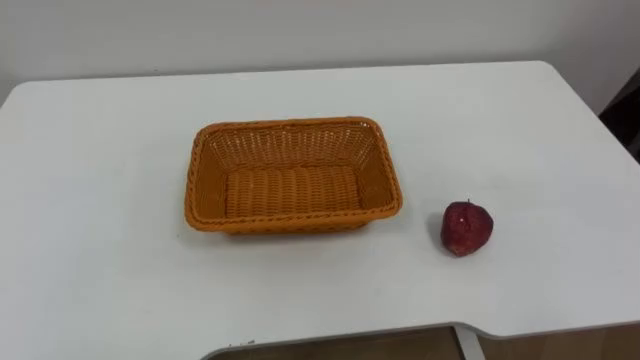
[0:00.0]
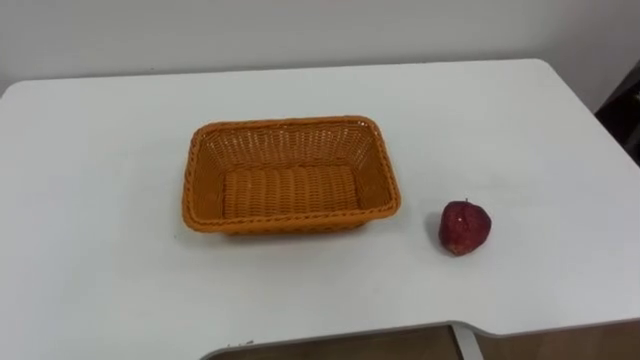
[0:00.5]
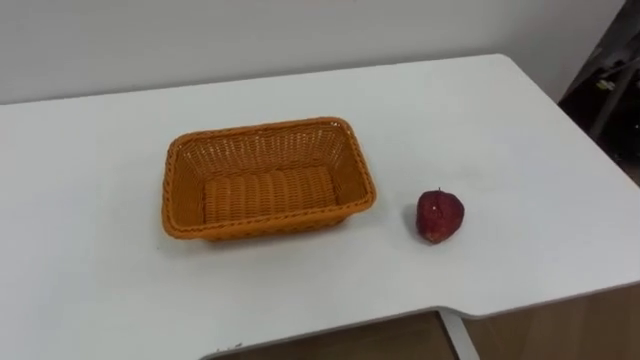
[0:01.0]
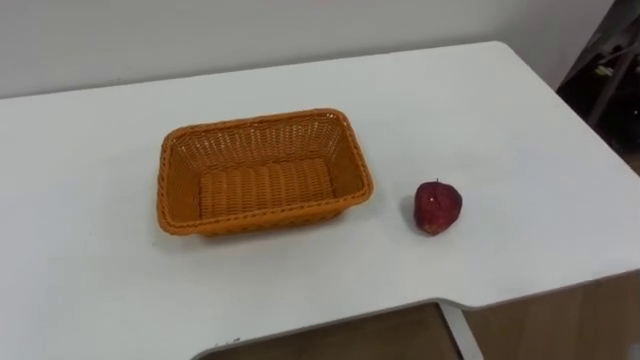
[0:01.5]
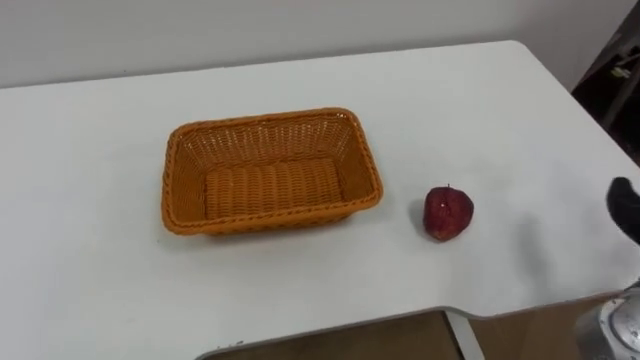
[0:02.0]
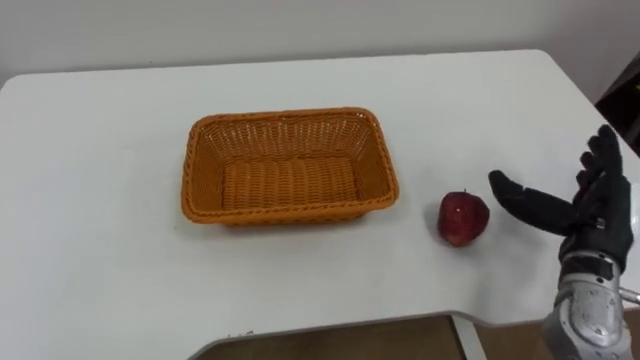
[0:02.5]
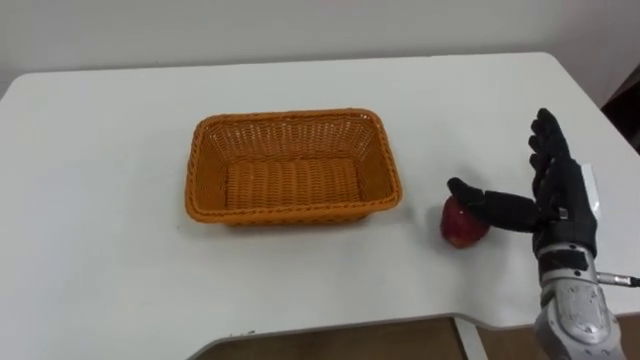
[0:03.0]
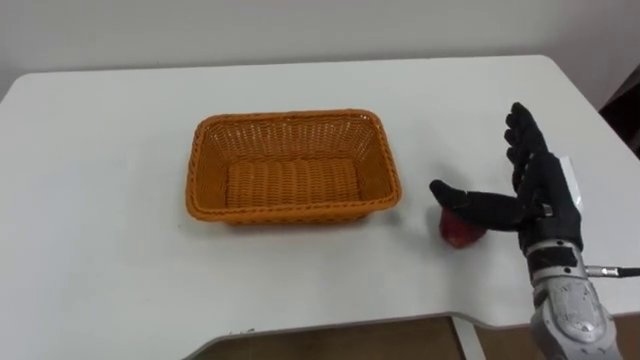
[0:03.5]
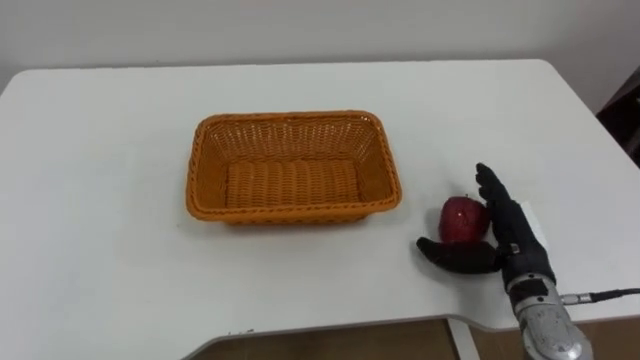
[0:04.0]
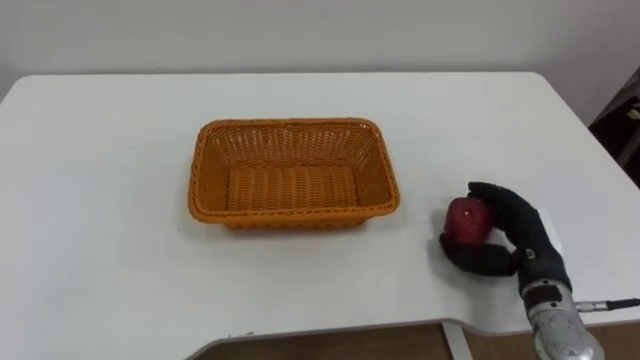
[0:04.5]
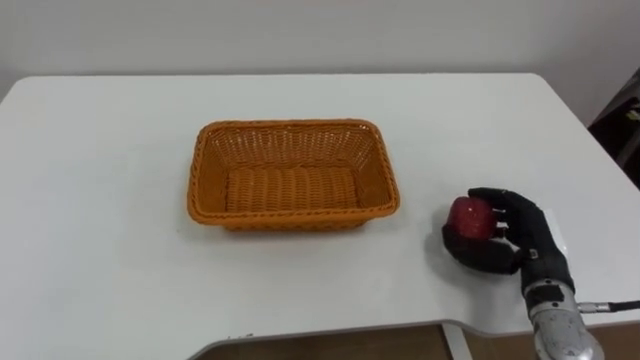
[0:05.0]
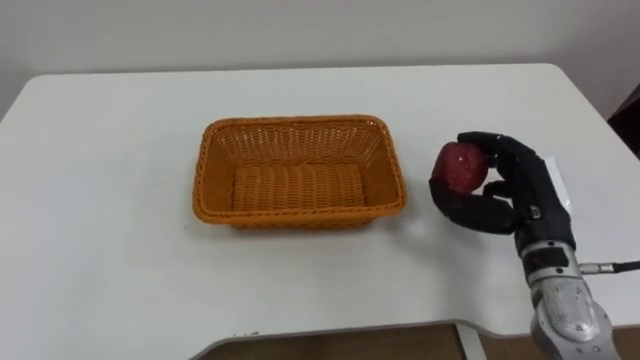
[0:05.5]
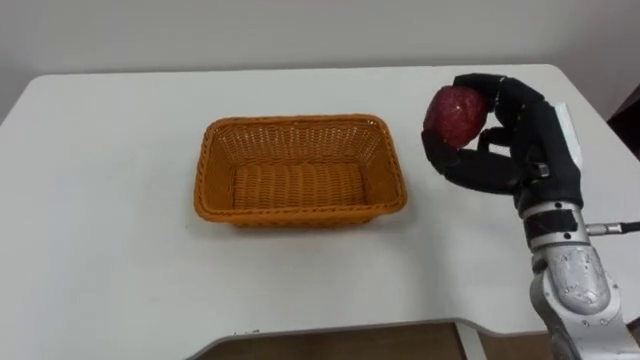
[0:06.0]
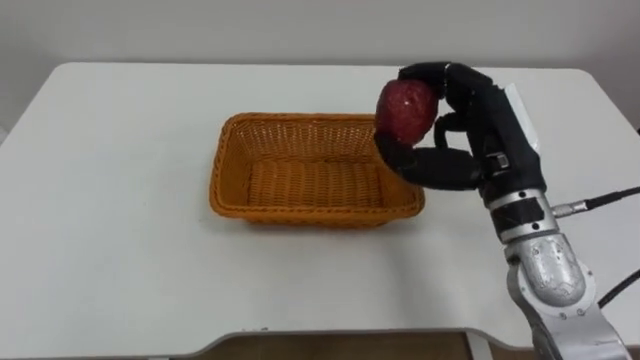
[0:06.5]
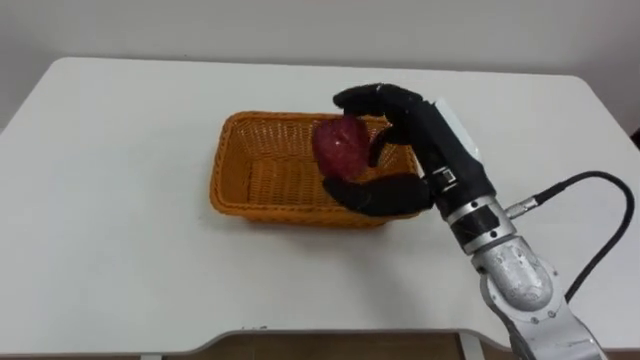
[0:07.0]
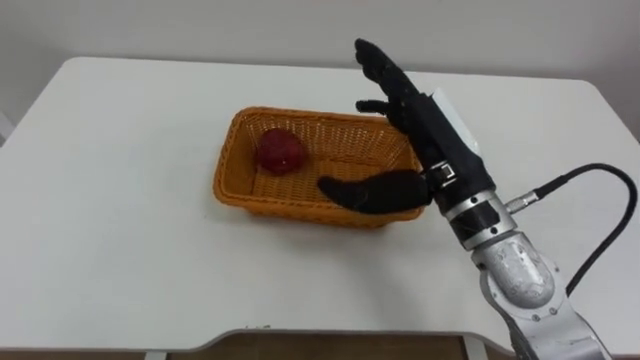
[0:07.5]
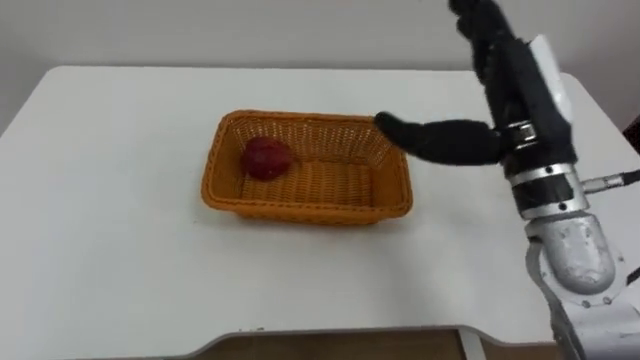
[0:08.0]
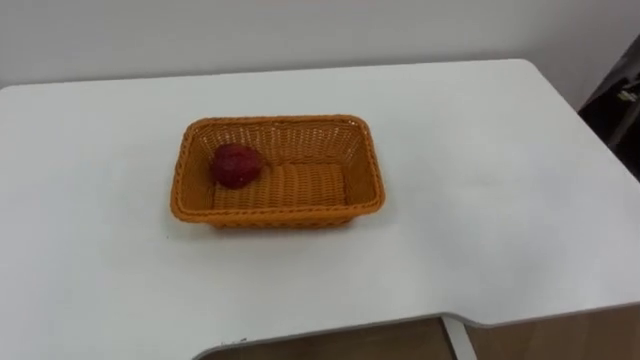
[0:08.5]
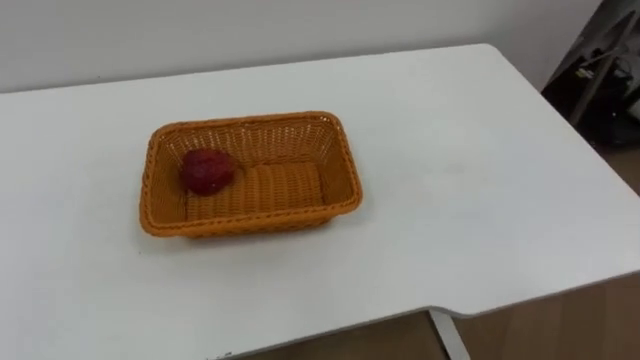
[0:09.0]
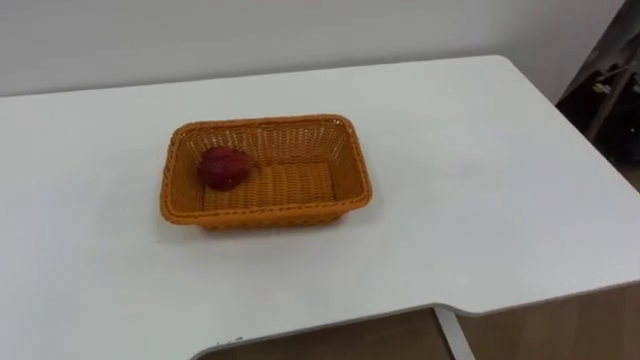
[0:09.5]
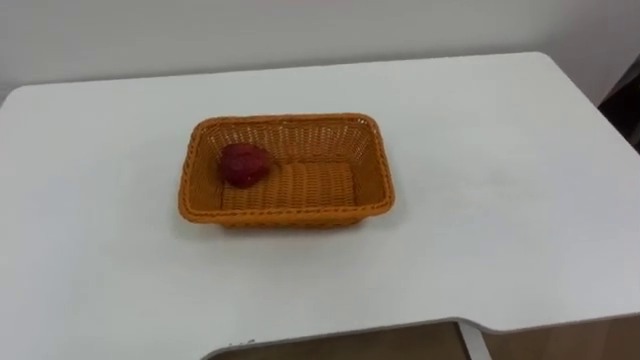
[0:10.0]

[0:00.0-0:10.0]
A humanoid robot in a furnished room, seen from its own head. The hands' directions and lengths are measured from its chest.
Task of the whole recording: Pick the apple and place it in the box.
0:04.0 to 0:06.0: The right hand goes approximately 15 cm upward, and closes up.
0:06.0 to 0:08.0: The right hand heads upward and to the left, covering about 10 cm, and opens its fingers.

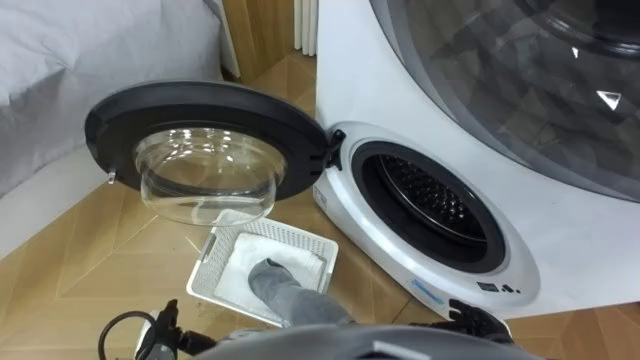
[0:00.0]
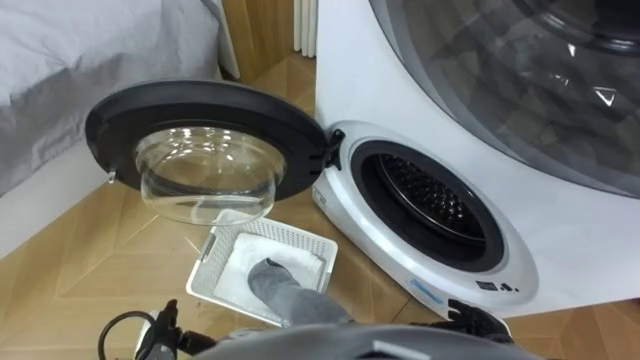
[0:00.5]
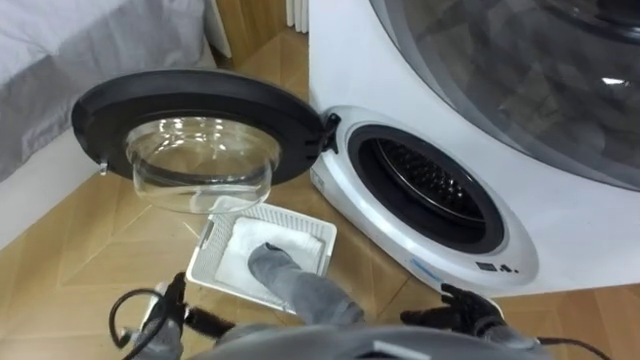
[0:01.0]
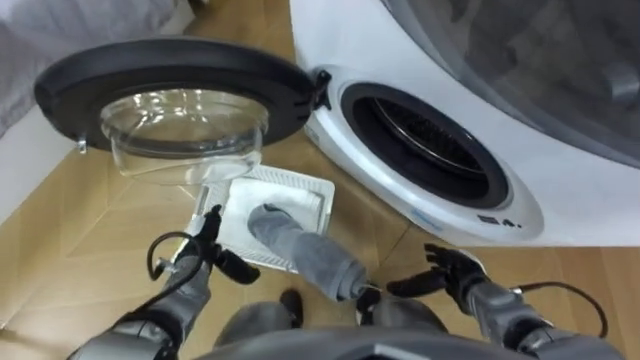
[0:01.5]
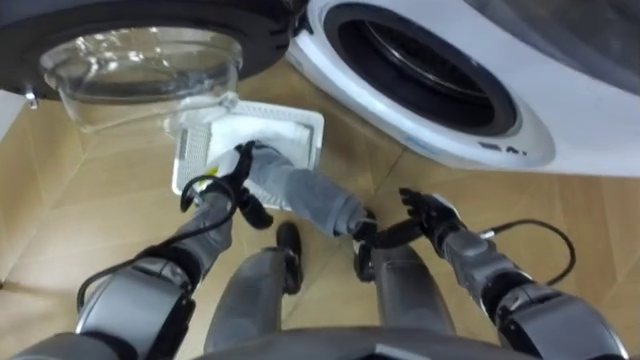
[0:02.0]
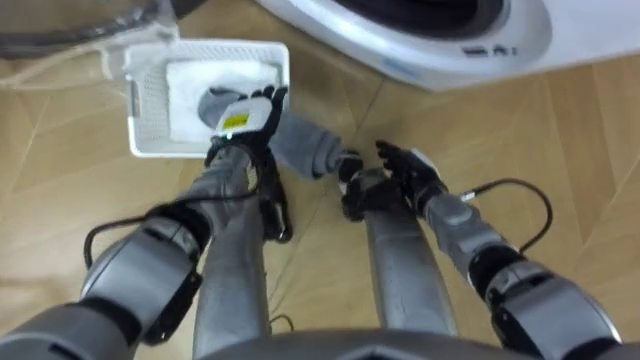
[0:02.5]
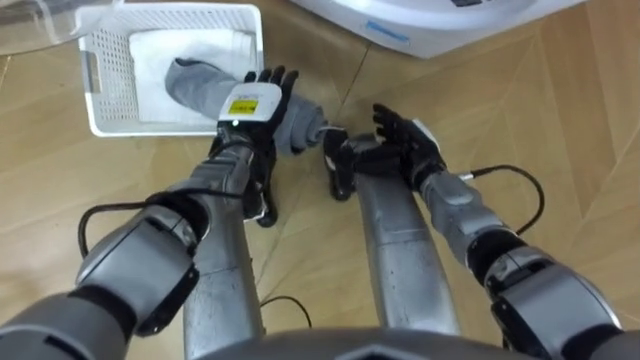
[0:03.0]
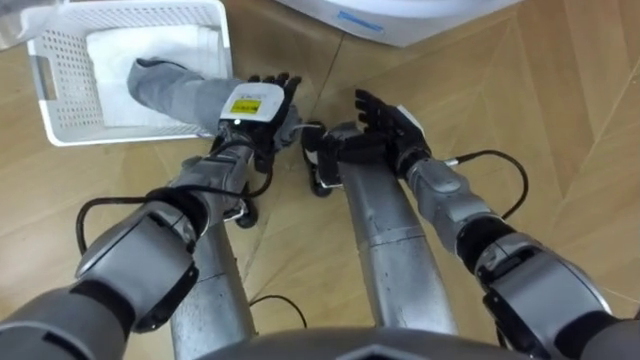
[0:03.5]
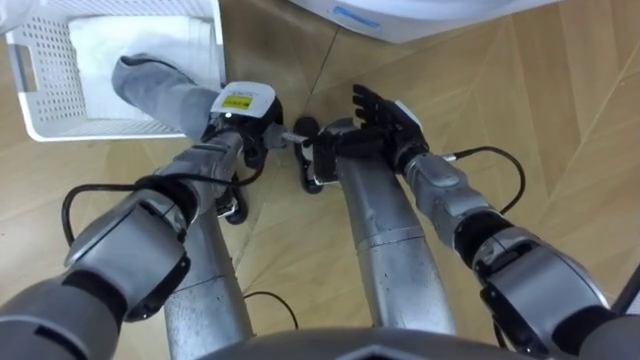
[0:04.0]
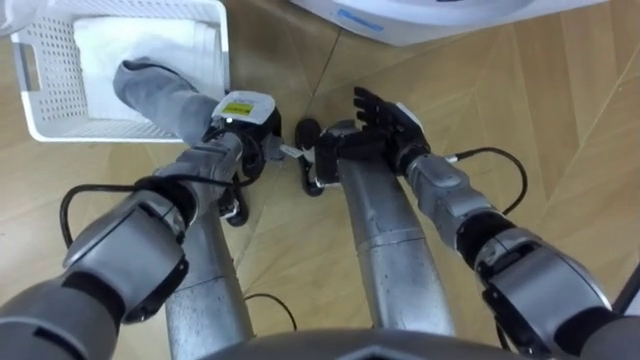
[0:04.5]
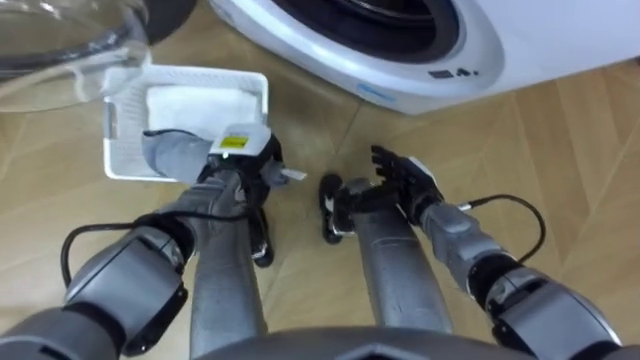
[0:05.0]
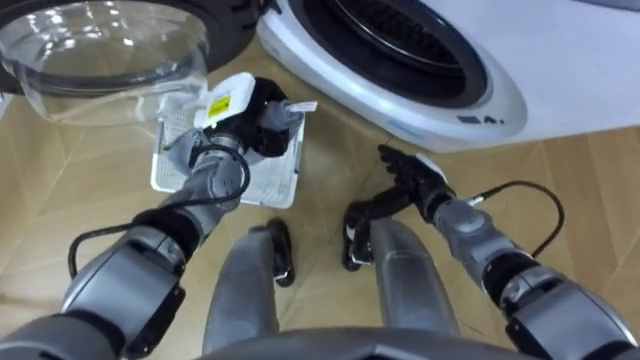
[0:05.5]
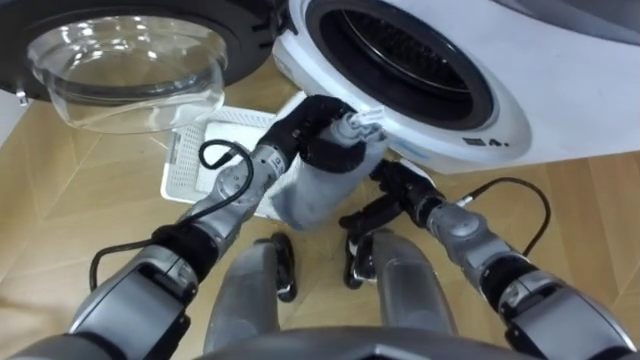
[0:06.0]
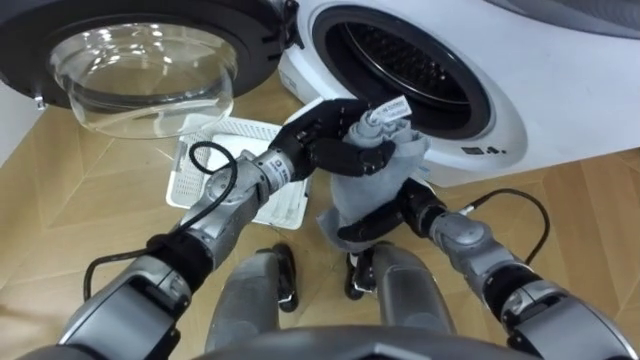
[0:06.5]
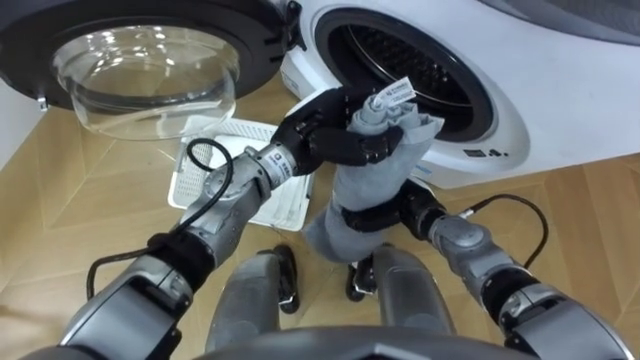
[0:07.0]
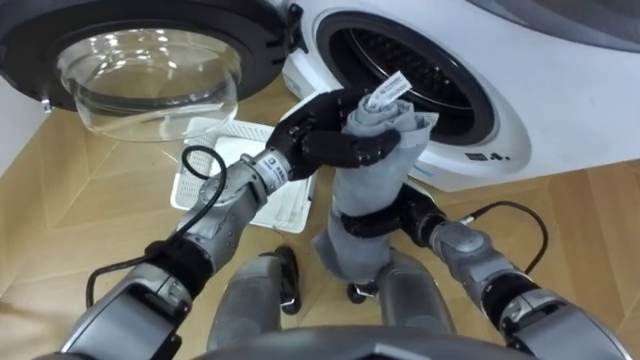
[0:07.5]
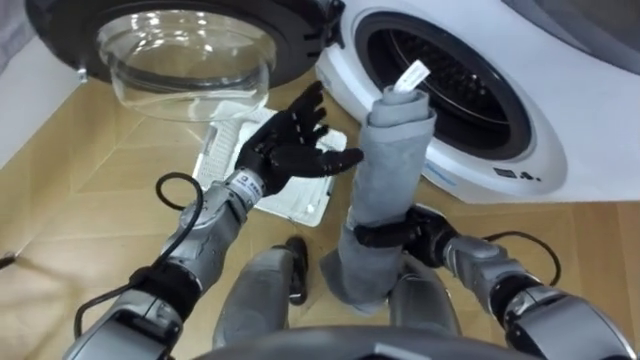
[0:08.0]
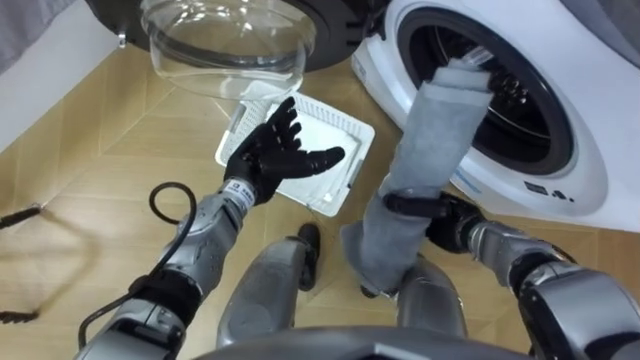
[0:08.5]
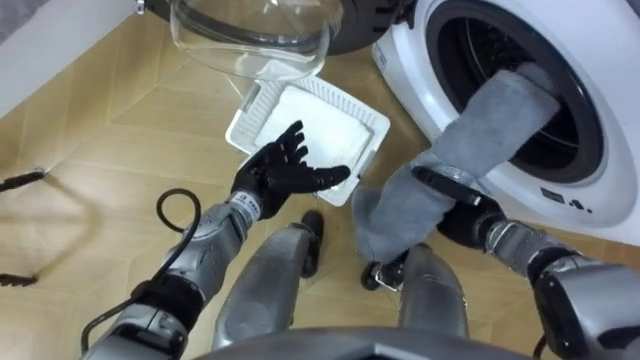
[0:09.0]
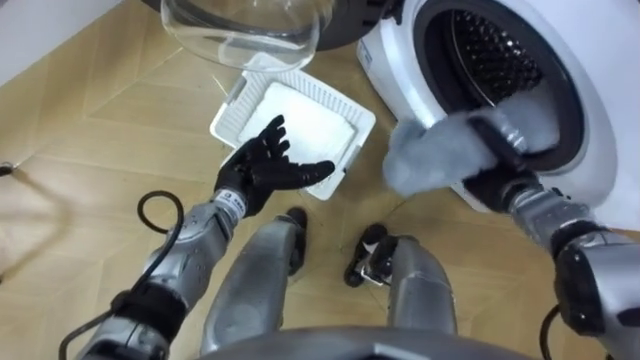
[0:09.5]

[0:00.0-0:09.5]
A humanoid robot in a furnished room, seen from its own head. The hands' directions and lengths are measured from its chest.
Task of the whole recording: Take the towel from the basket and put it into the washing machine.
0:02.0 to 0:04.0: The left hand shifts about 10 cm forward and upward, and closes its fingers, while the right hand goes roughly 15 cm forward, upward and to the left.
0:04.0 to 0:05.5: The right hand goes some 10 cm to the right, downward and backward.
0:05.5 to 0:07.5: The left hand heads to the right and backward, covering approximately 10 cm, while the right hand closes up.
0:07.5 to 0:09.5: The left hand is displaced to the left and downward by roughly 10 cm, and opens its fingers. Meanwhile the right hand heads to the right, covering approximately 15 cm.
